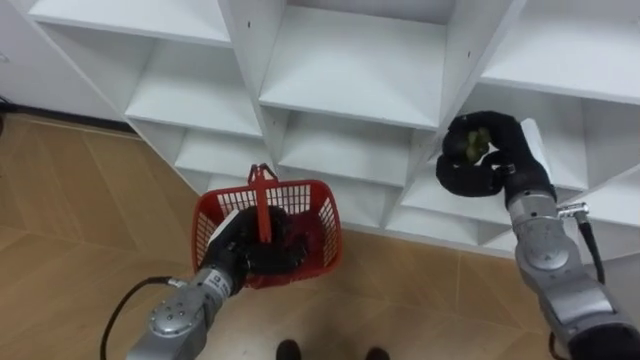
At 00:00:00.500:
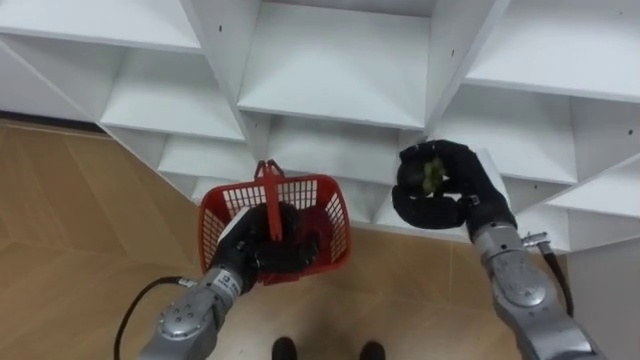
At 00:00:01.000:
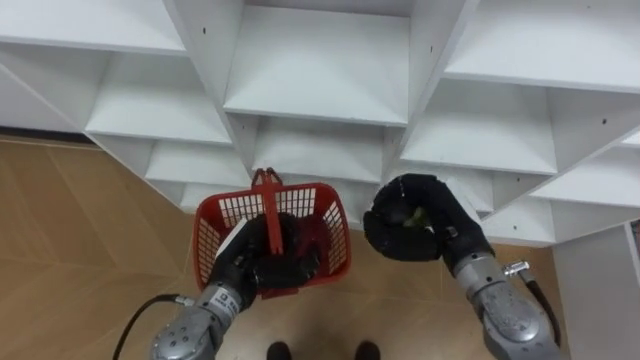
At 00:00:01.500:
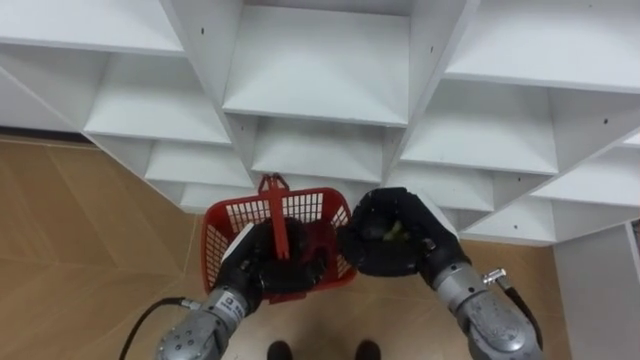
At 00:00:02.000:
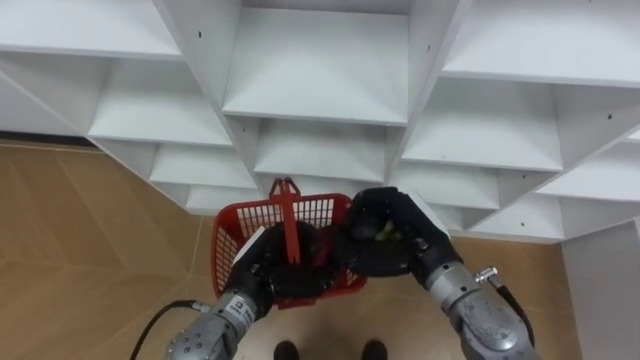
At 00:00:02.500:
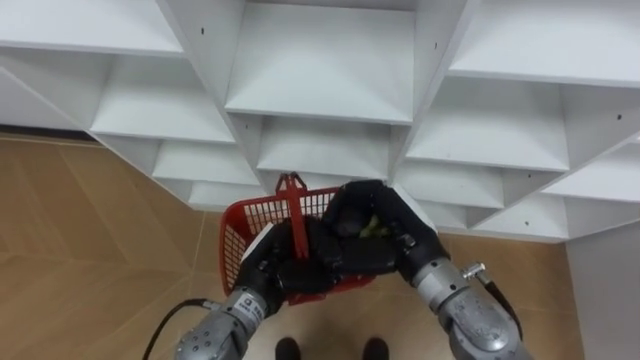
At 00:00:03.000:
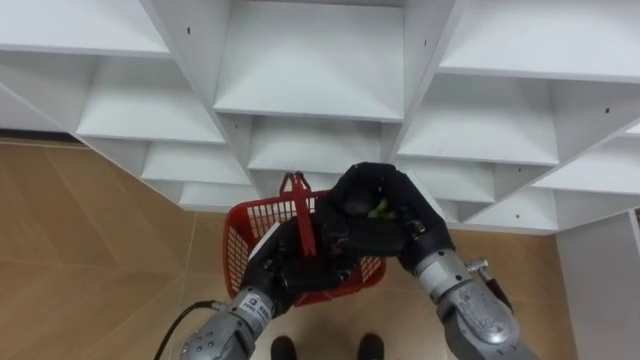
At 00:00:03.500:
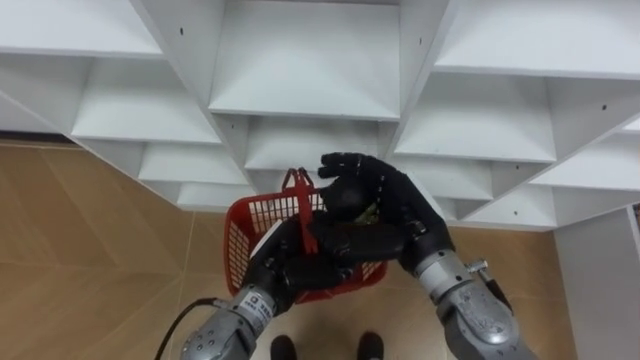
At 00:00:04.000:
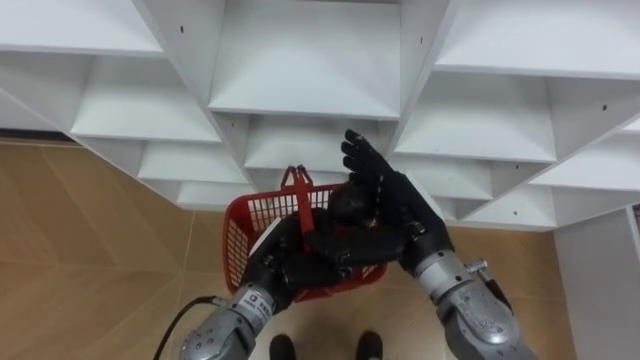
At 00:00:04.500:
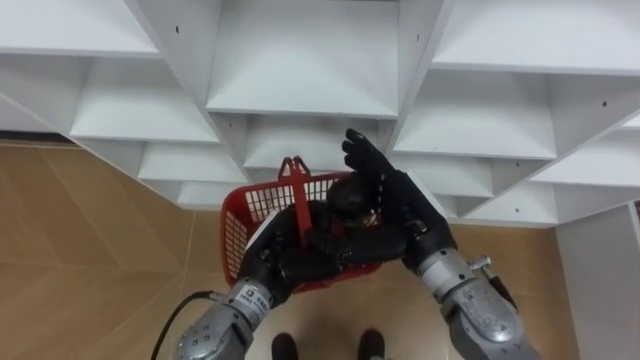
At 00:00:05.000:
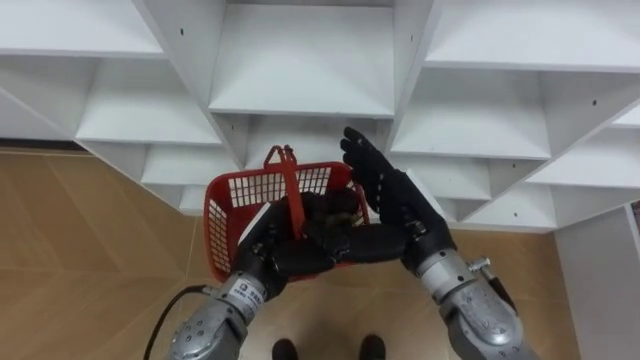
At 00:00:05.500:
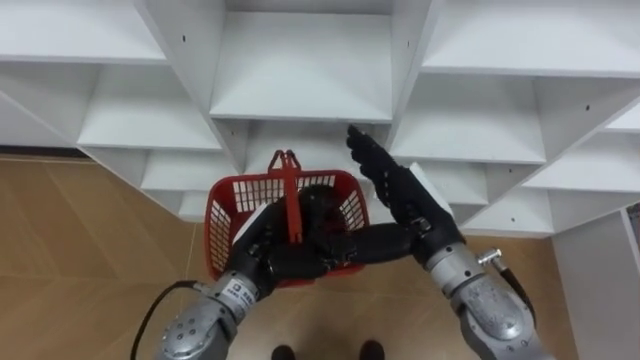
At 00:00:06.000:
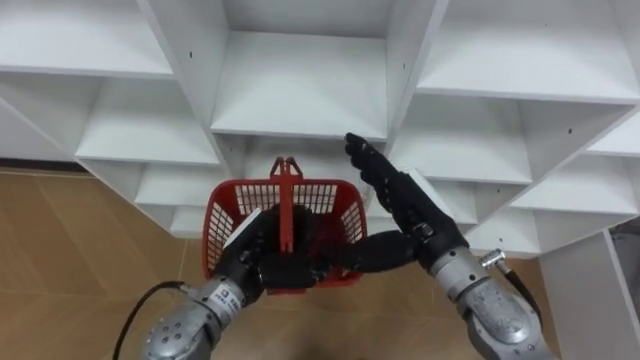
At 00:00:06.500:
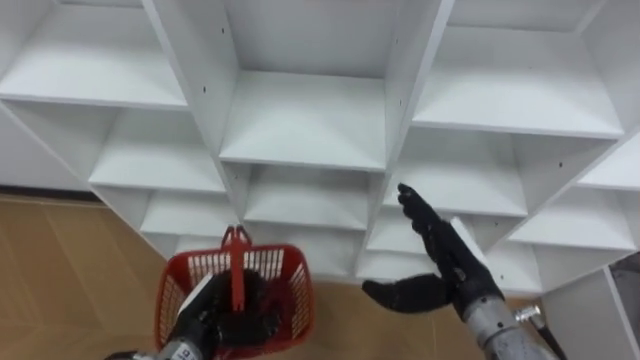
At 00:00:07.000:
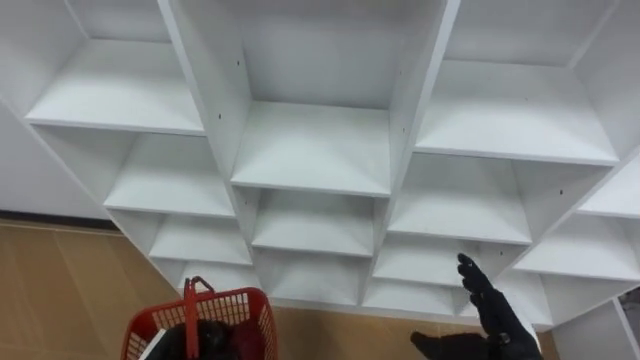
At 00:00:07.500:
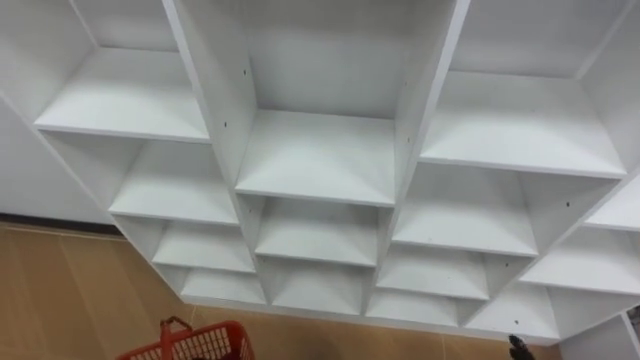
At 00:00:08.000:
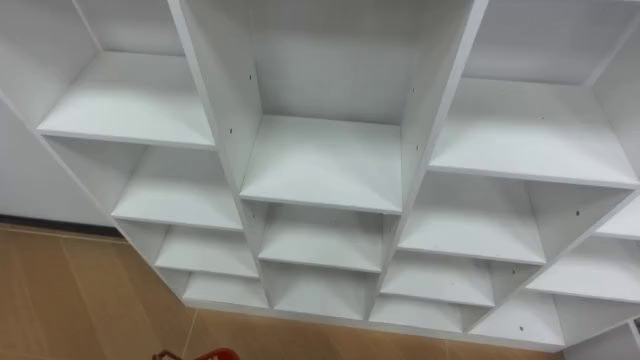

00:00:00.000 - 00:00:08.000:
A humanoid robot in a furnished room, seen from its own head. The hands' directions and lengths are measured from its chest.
Task of the whole recording: Hold the basket and collect the fruits from 3 different cells of the closet into it.
00:00:00.000 - 00:00:02.000: The right hand is displaced to the left and backward by some 15 cm.
00:00:02.000 - 00:00:04.000: The right hand opens its fingers.

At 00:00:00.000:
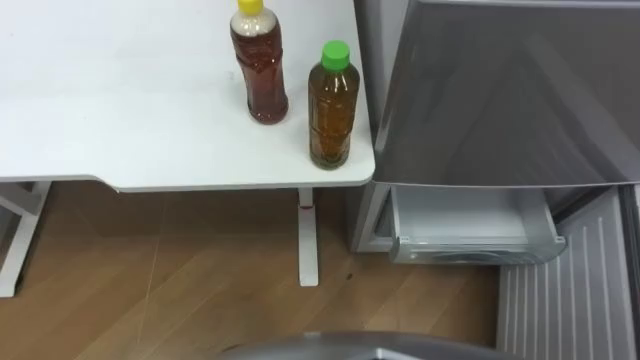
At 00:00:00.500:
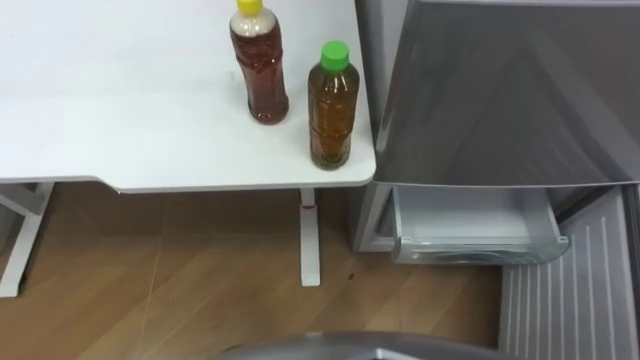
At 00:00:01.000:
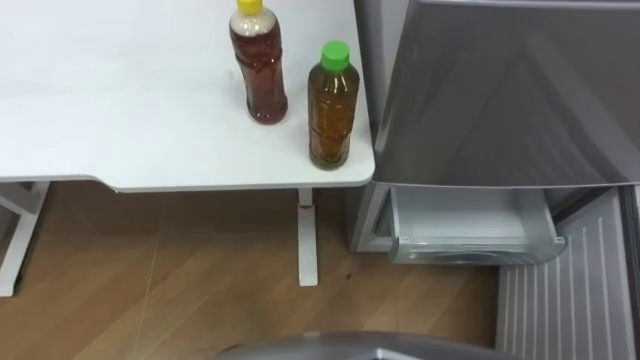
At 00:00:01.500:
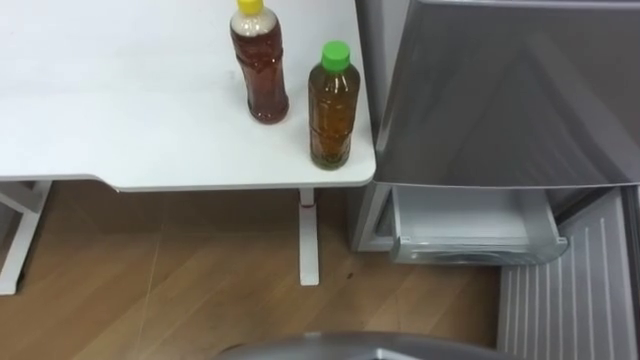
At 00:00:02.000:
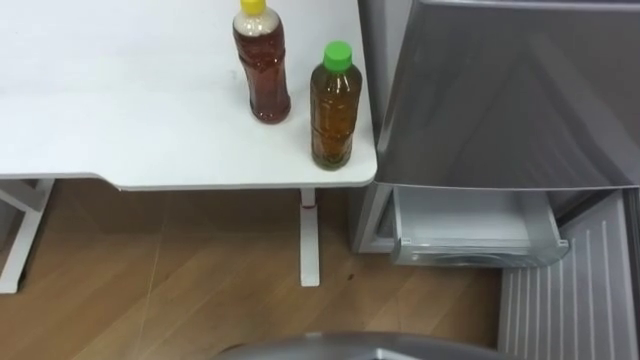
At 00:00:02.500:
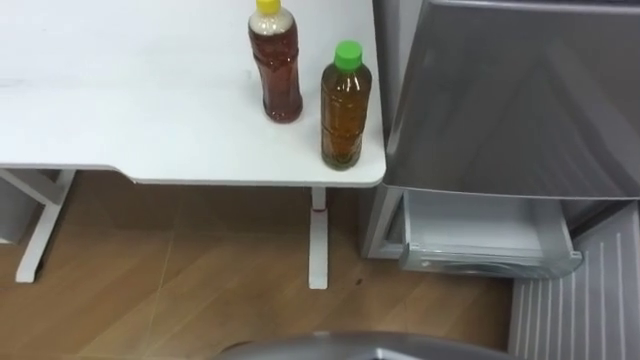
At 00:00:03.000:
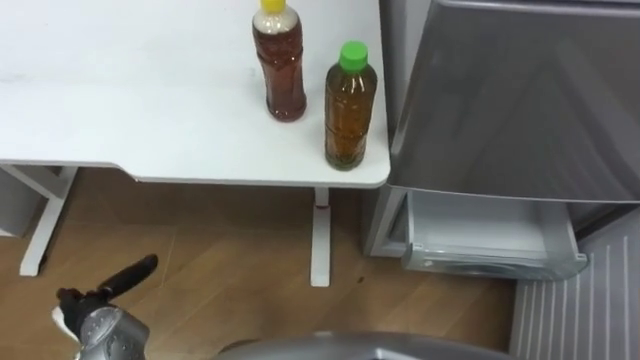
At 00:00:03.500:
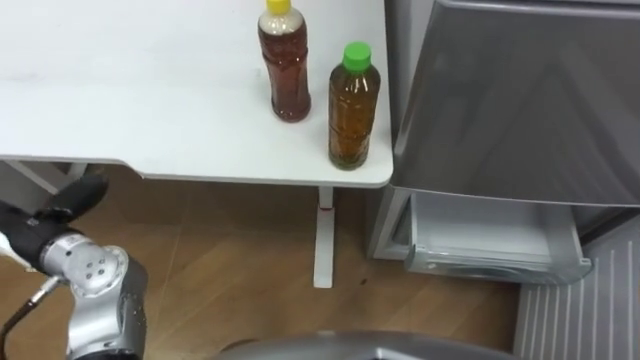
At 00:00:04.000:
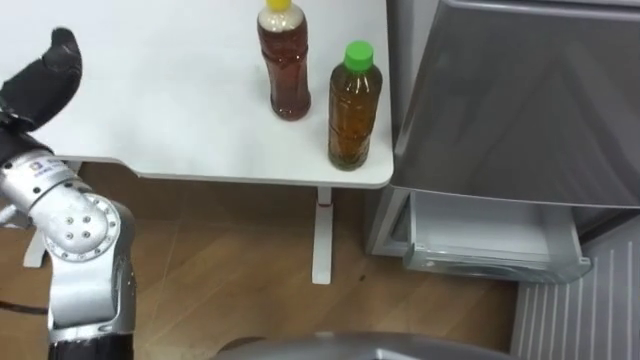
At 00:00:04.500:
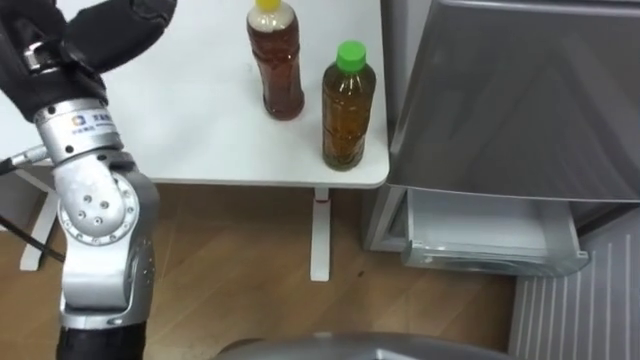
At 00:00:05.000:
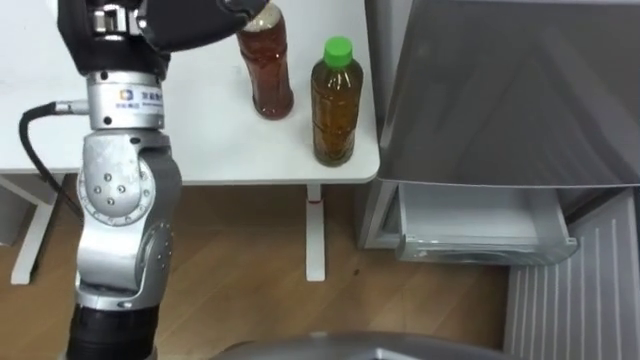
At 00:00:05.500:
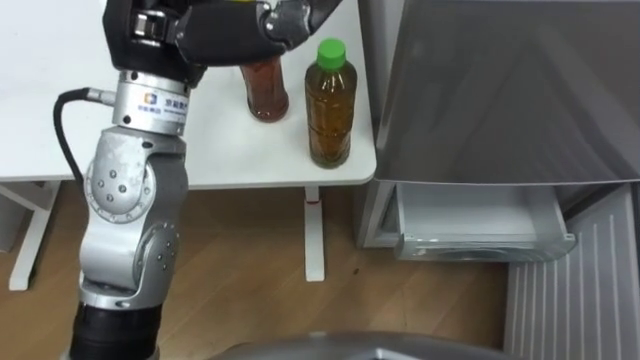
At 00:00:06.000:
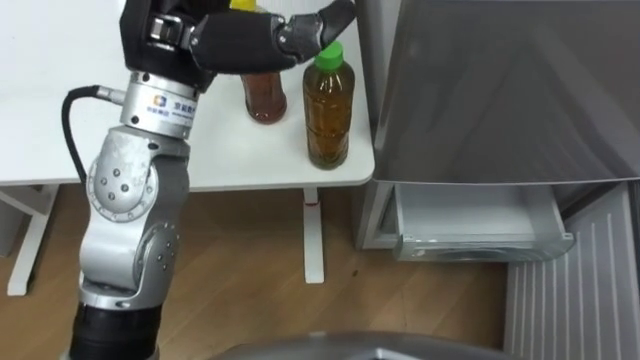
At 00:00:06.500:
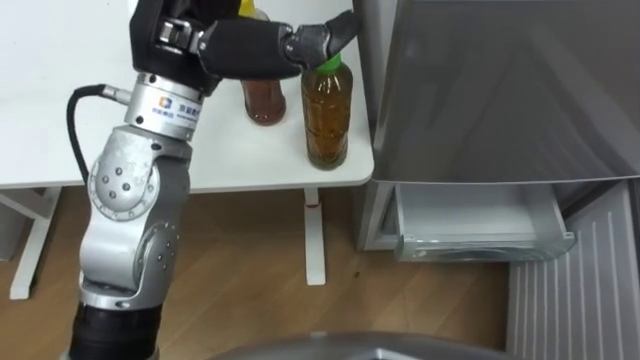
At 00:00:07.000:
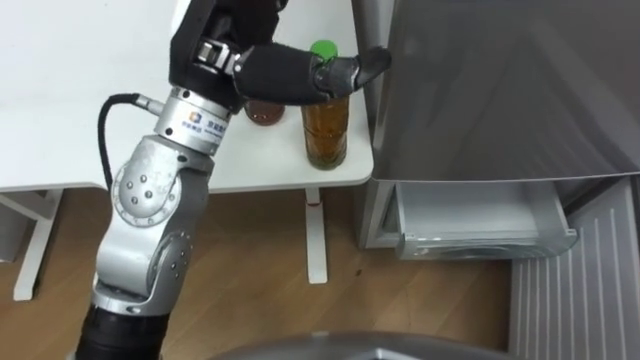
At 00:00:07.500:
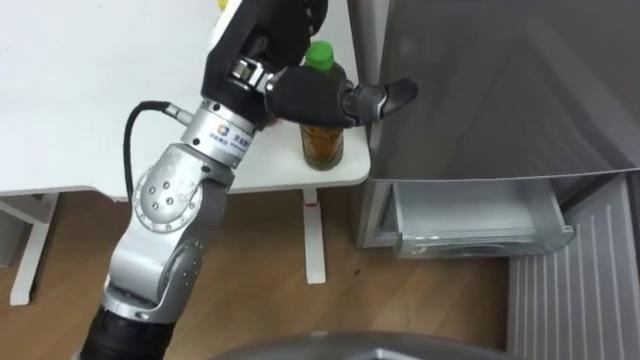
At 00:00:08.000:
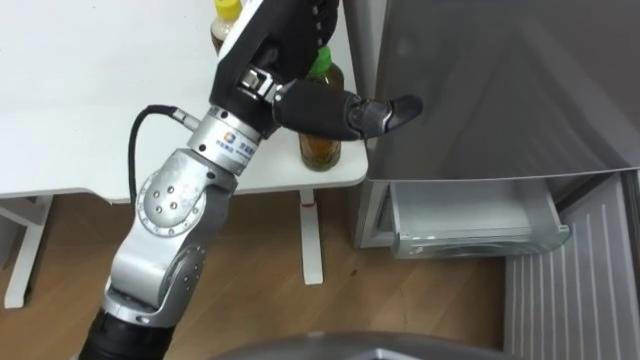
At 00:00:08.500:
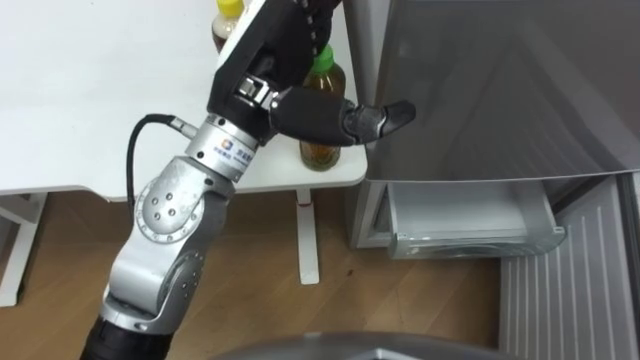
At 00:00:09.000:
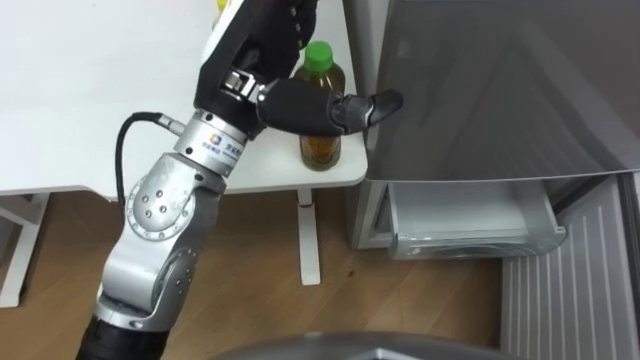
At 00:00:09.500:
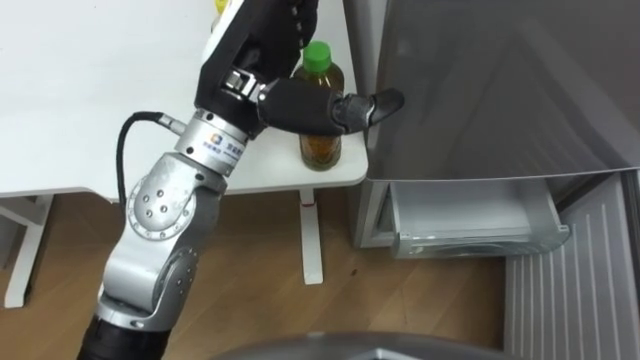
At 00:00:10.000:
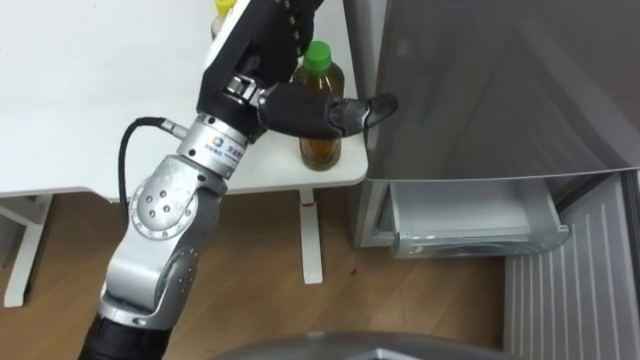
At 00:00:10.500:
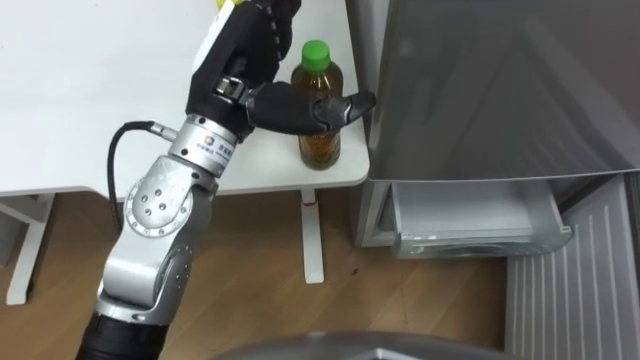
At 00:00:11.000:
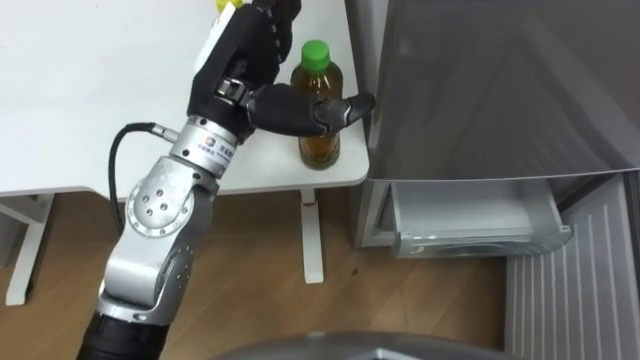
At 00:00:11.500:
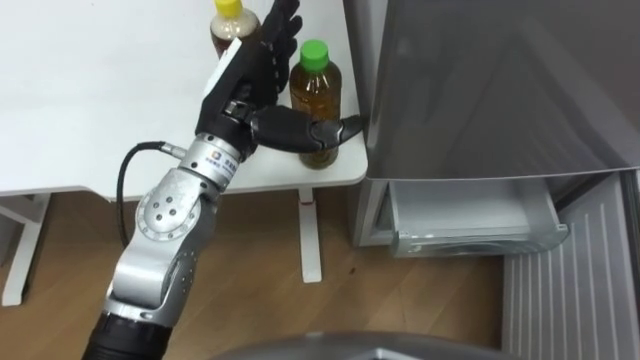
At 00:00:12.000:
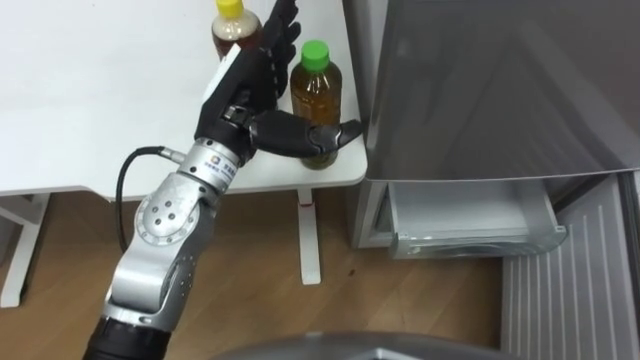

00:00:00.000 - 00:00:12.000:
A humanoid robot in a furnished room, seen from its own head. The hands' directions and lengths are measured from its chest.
Task of the whole recording: Place the drink on the table on the bottom shelf of the refrigerator, then close the drawer and the refrigerator door.
00:00:06.000 - 00:00:08.000: The left hand travels to the right by approximately 5 cm.
00:00:10.000 - 00:00:12.000: The left hand heads downward, covering some 5 cm.
